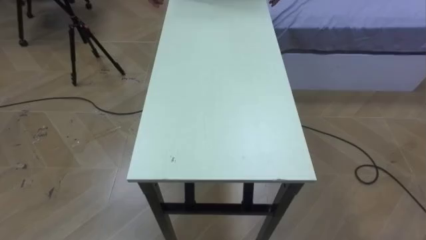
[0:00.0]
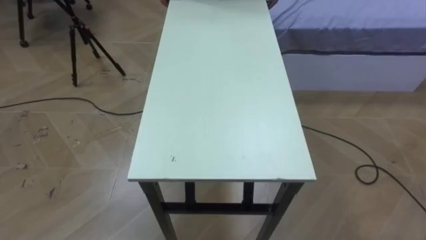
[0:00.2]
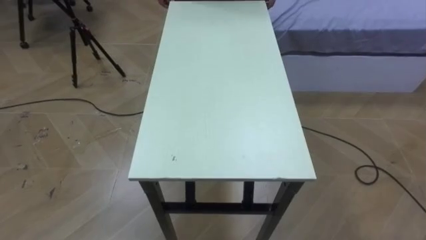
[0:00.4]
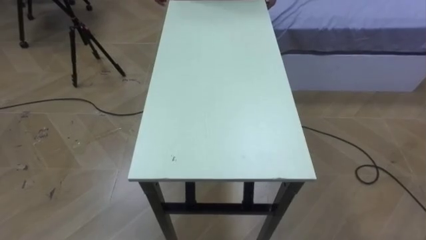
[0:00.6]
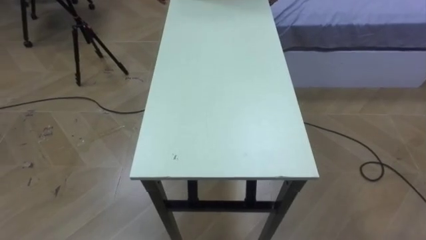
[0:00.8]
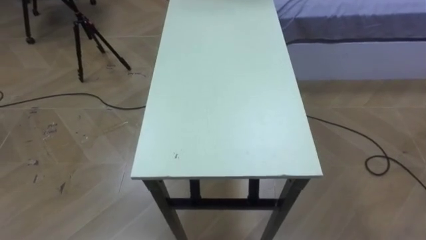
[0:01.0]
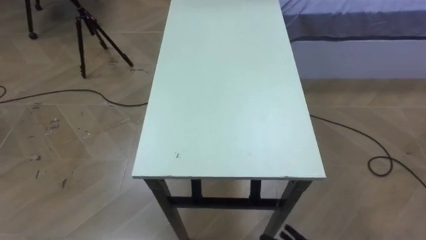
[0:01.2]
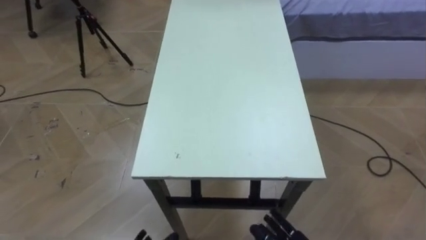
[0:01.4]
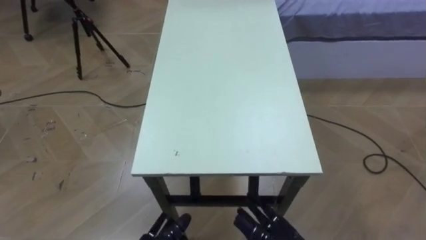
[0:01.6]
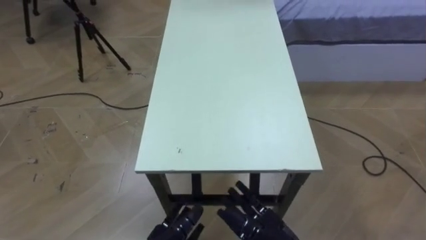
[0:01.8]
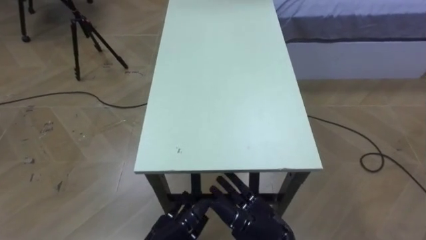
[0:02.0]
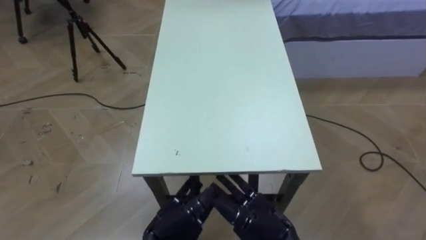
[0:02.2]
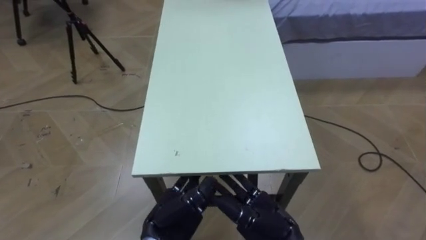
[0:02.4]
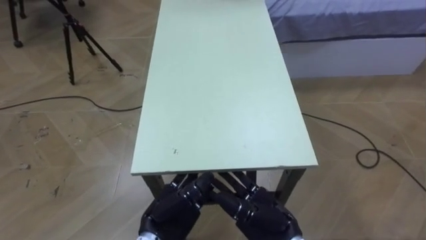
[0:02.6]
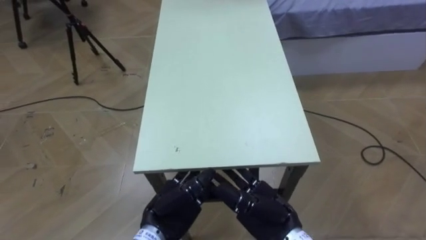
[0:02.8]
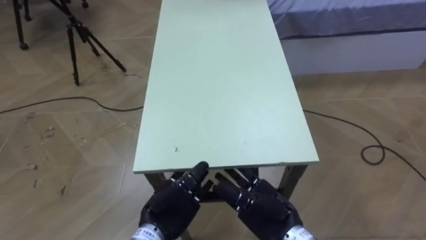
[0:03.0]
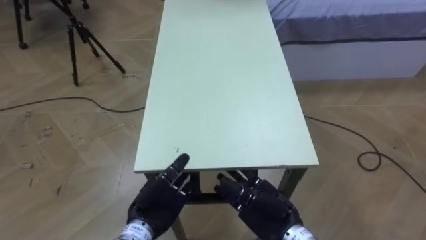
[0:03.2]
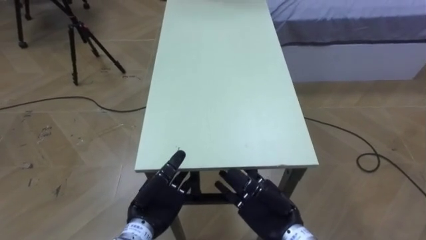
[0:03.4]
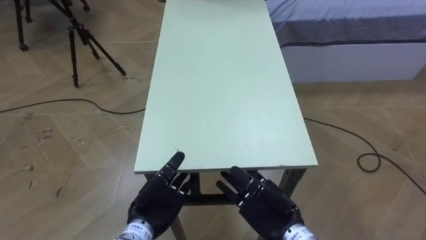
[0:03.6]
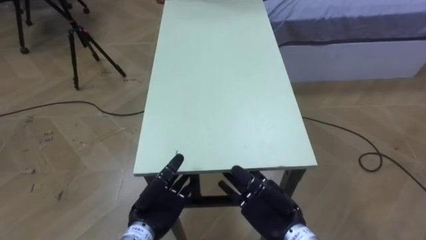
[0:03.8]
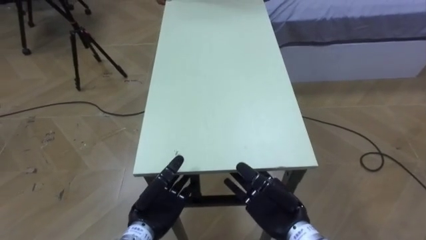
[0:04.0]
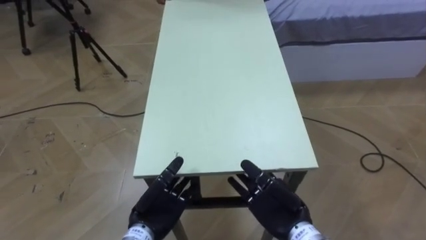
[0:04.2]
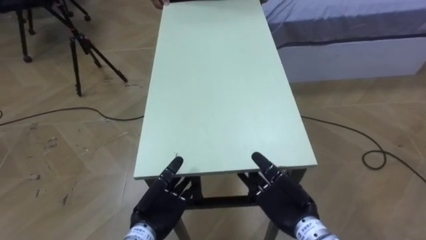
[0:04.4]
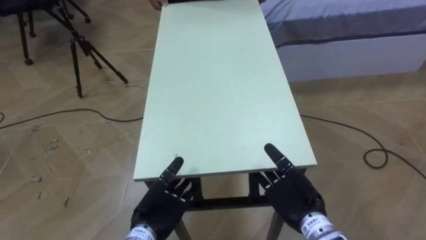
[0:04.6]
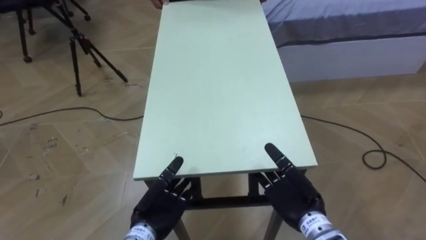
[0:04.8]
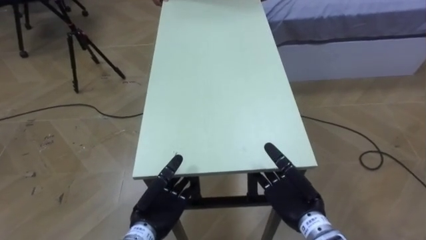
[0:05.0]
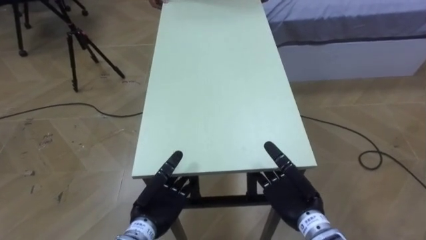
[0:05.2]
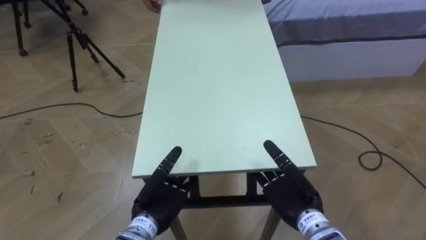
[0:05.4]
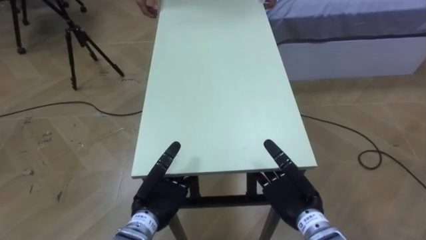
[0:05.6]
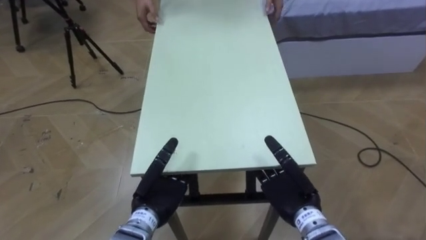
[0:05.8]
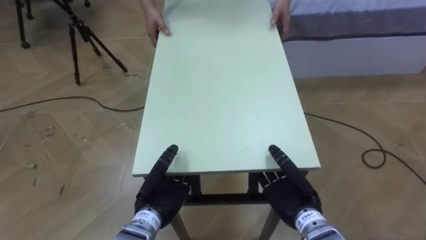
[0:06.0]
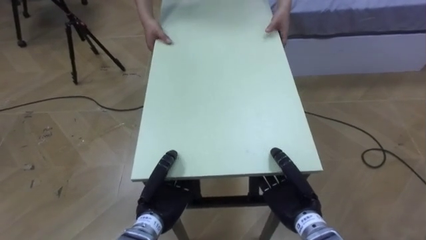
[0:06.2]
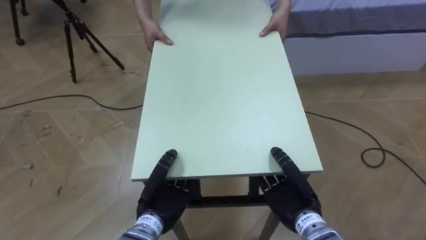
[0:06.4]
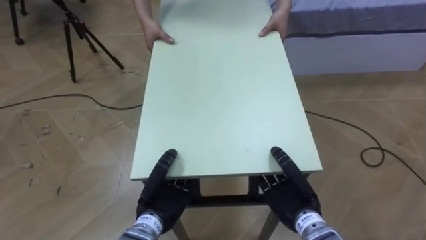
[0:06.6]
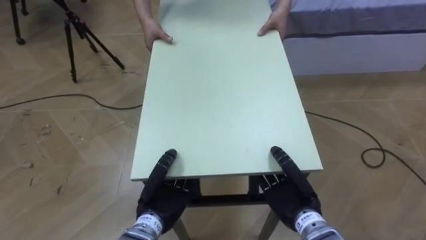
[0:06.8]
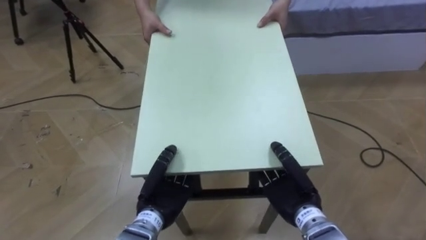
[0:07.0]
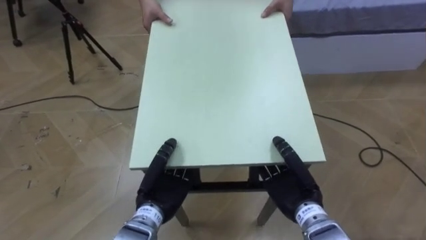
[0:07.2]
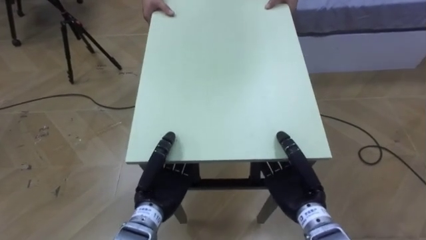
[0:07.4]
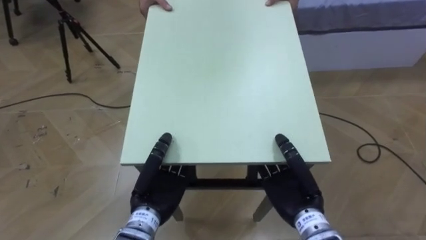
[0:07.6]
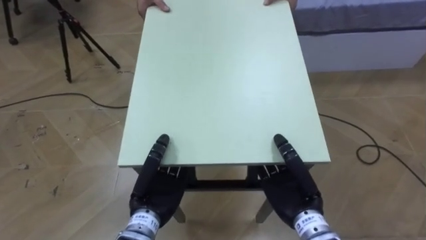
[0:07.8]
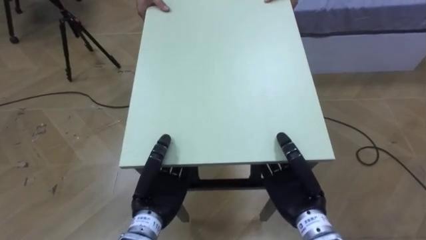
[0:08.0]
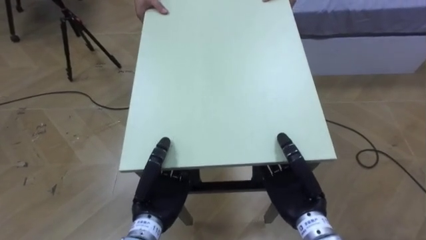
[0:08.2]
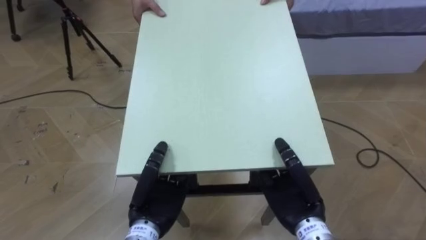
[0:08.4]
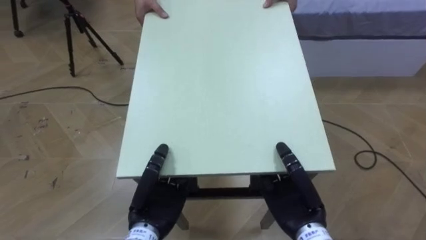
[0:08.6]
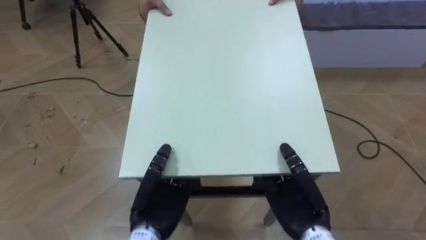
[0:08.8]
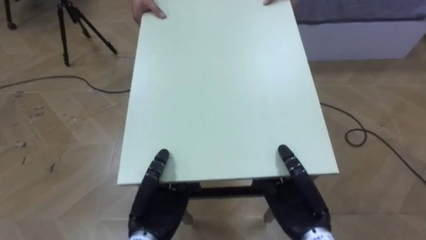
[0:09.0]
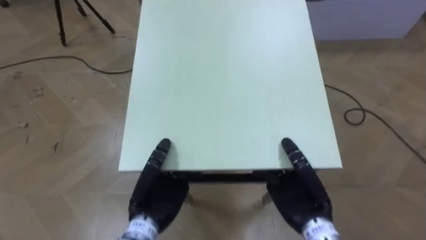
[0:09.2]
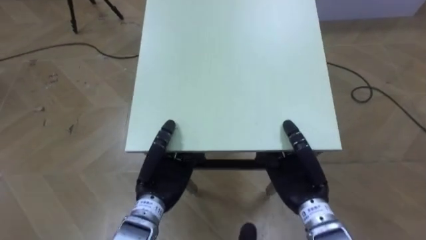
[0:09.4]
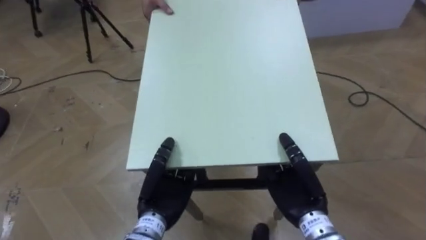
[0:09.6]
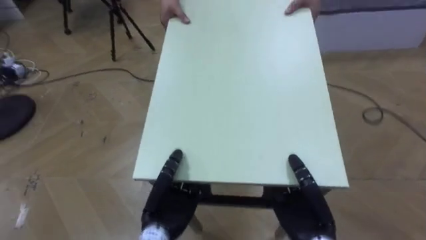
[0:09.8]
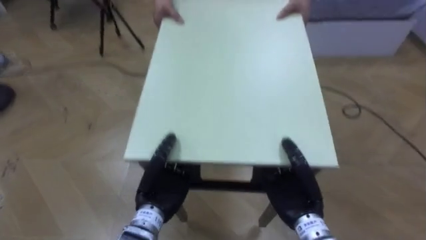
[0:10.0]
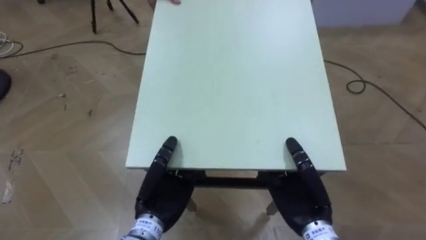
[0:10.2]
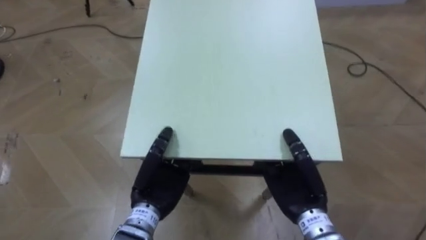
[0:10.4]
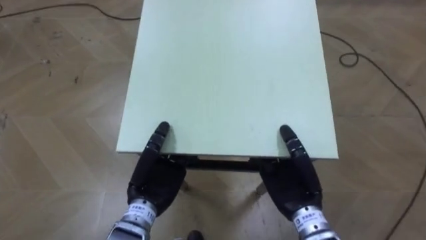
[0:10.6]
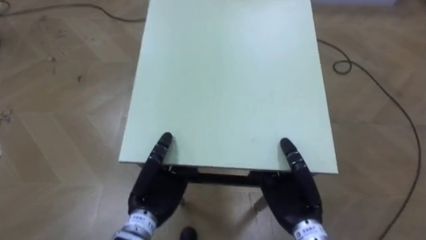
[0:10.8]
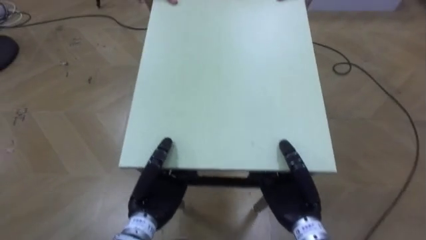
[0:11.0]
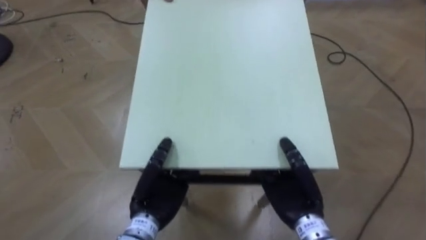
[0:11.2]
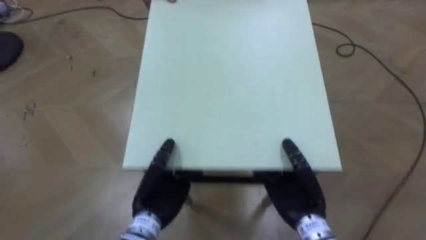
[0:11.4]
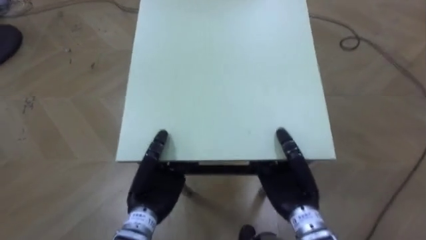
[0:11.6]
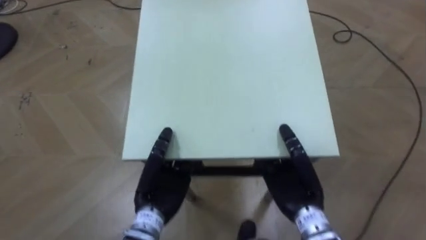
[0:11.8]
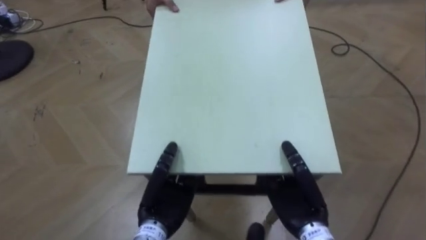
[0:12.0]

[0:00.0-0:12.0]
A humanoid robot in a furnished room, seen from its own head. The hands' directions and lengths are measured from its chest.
Task of the whole recording: Move the table to the back left with someone.
0:04.4 to 0:06.0: The right hand closes its fingers. The left hand closes its fingers.

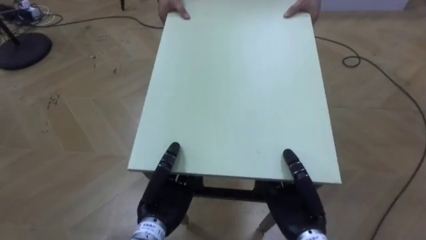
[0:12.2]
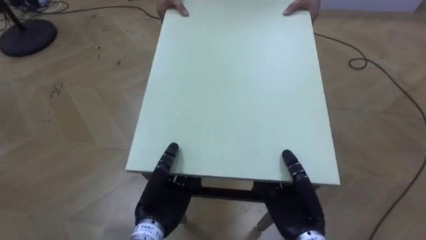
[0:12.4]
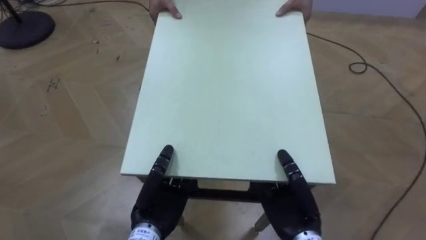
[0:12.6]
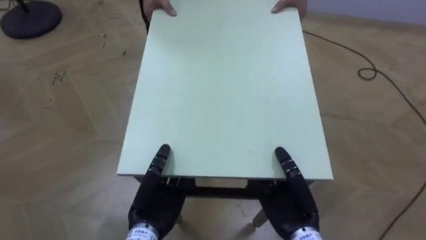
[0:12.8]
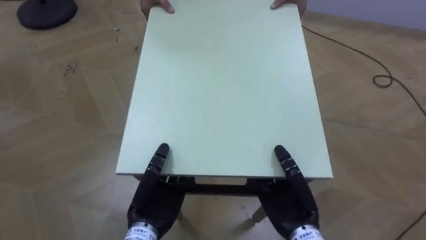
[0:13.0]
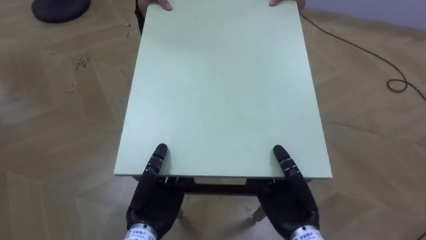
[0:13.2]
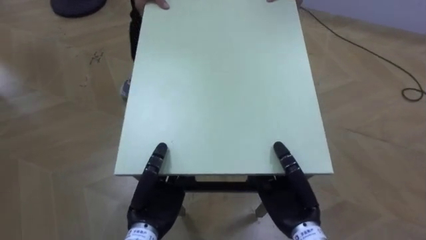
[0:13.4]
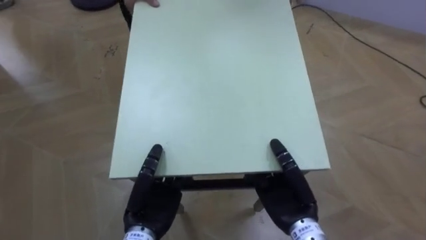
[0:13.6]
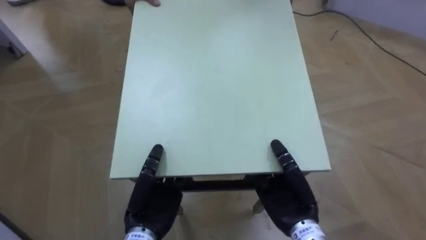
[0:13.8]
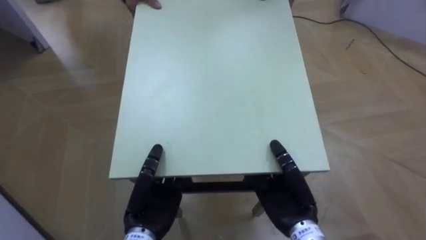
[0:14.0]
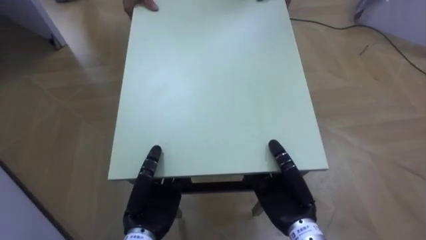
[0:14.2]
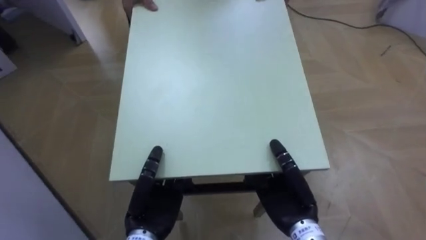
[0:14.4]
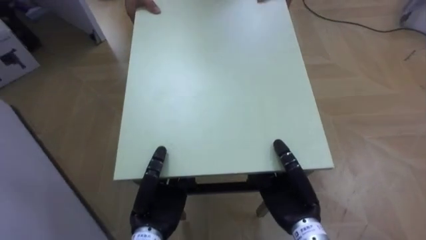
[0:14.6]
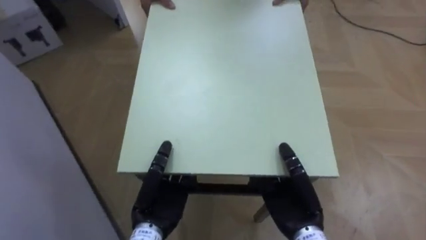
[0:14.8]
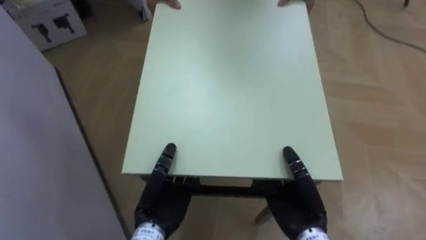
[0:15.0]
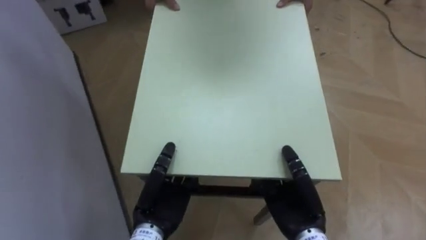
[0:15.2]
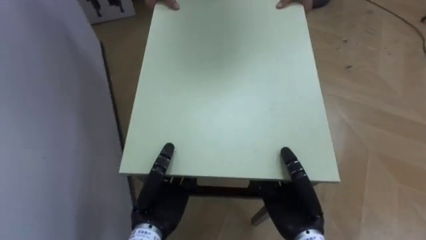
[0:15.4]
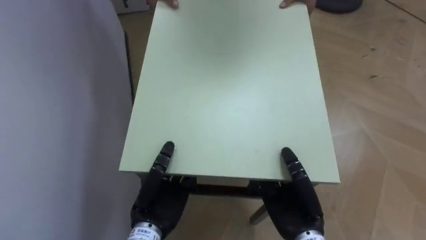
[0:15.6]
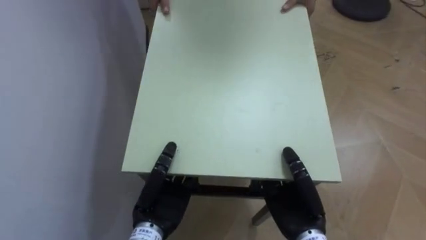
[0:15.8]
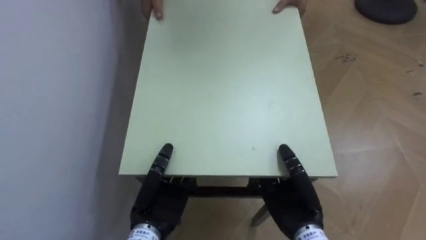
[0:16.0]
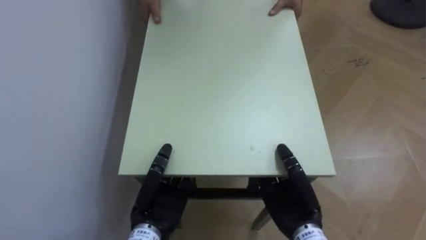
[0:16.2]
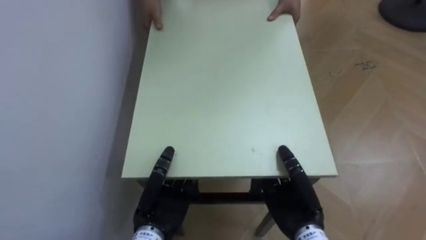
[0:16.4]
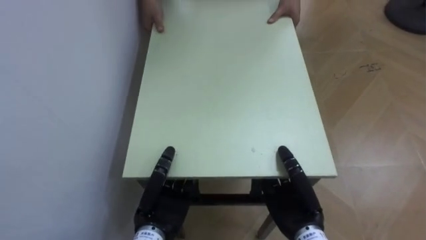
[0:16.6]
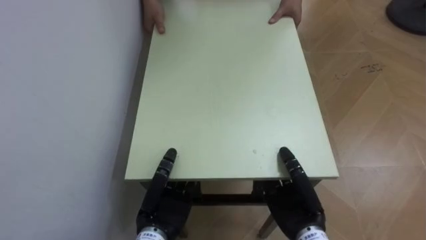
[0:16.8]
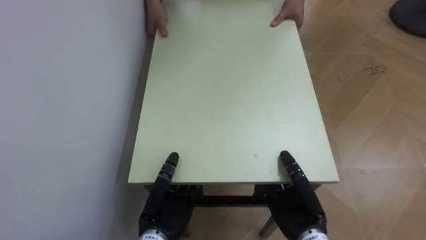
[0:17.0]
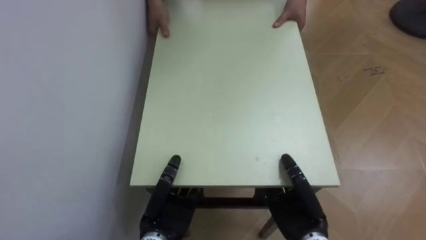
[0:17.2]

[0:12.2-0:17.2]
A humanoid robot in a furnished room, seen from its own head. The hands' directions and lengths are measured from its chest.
Task of the whole recording: Move the table to the back left with someone.
0:13.8 to 0:15.6: The robot rotates approximately 50 degrees to its left.
0:15.6 to 0:17.2: The robot turns to its left by about 20 degrees.
